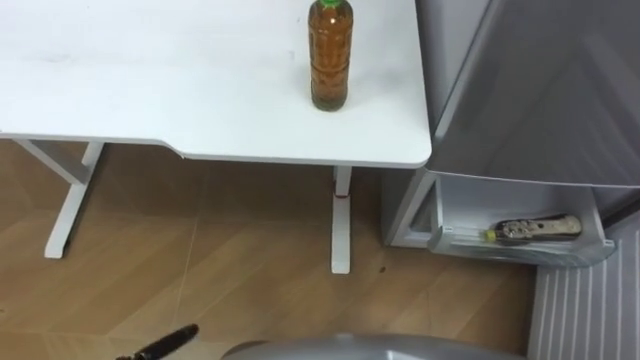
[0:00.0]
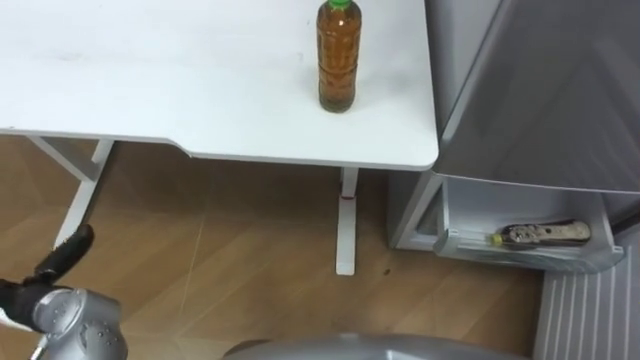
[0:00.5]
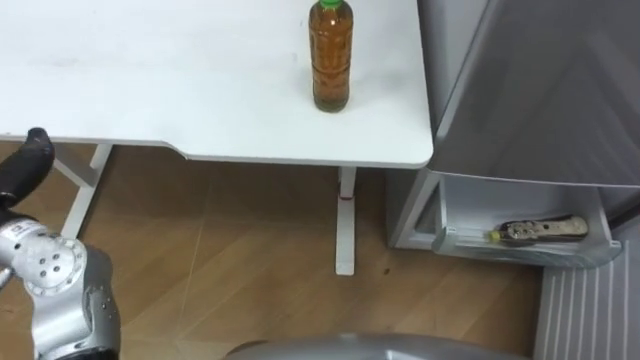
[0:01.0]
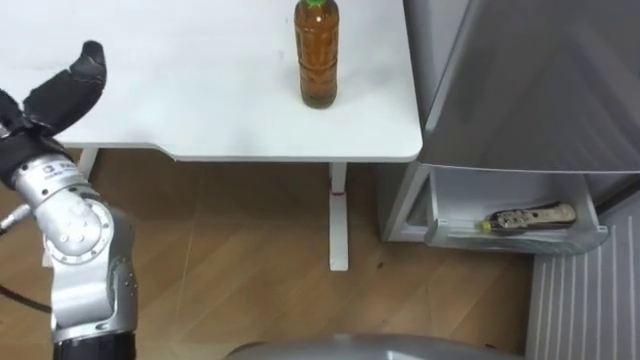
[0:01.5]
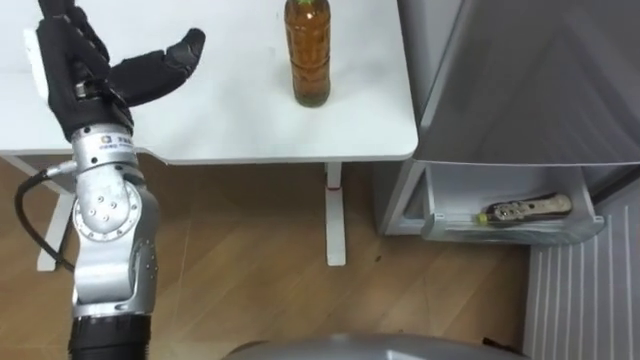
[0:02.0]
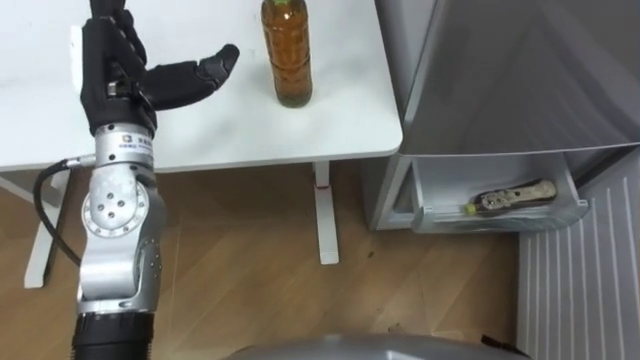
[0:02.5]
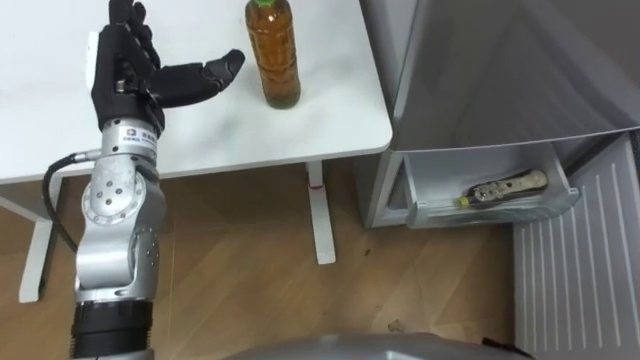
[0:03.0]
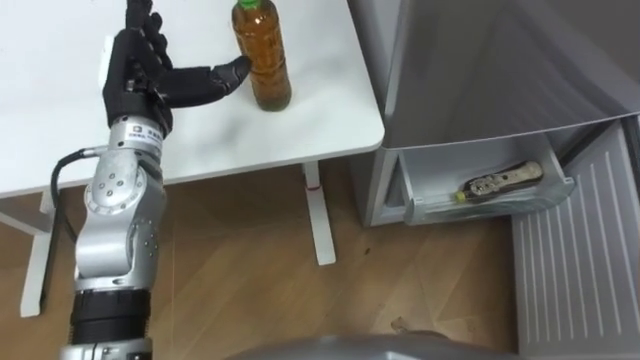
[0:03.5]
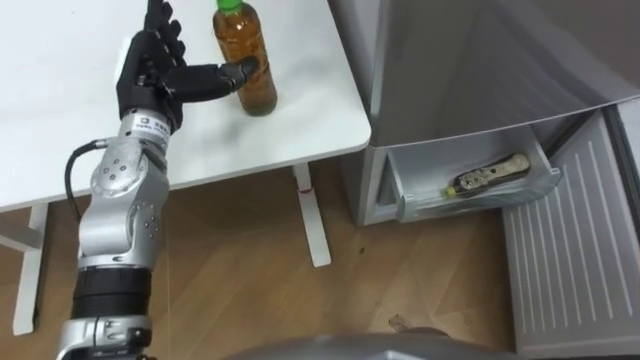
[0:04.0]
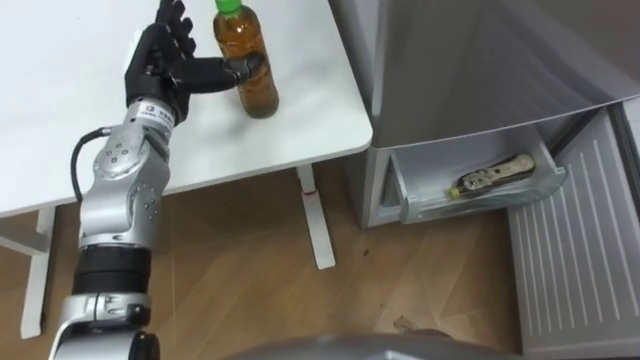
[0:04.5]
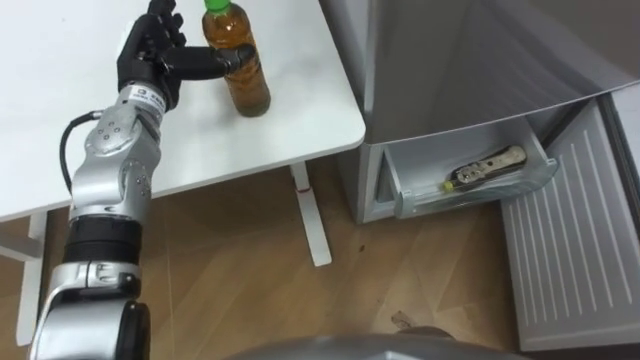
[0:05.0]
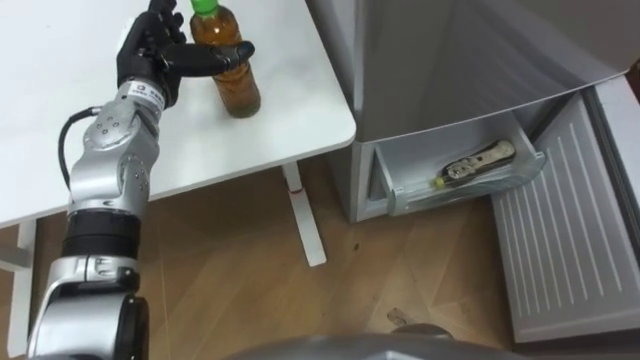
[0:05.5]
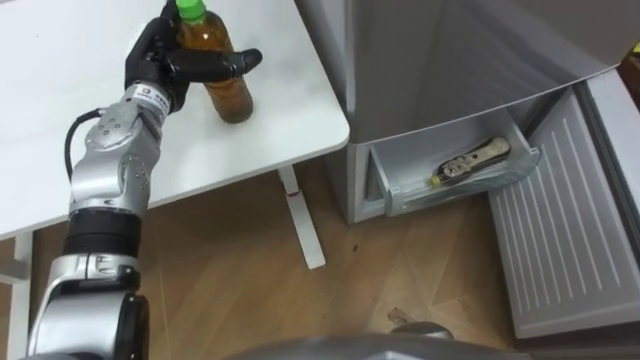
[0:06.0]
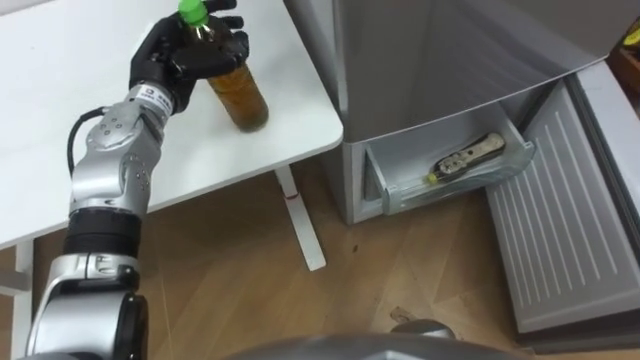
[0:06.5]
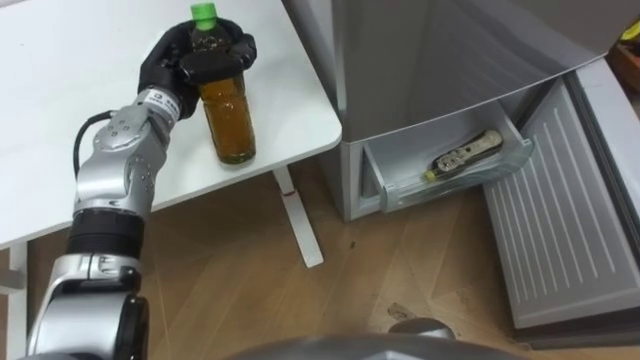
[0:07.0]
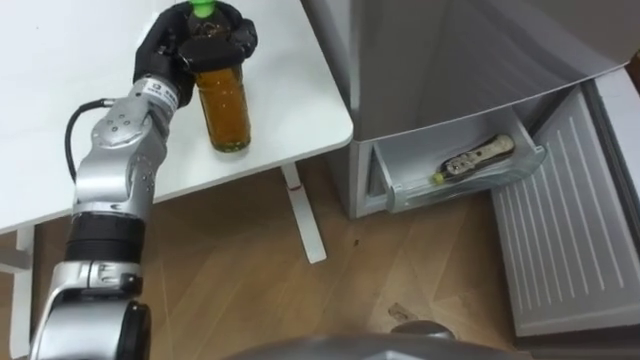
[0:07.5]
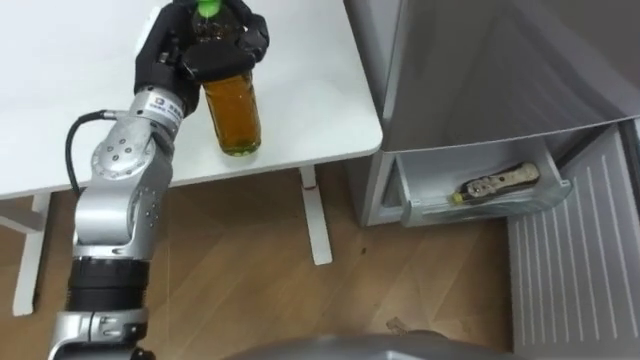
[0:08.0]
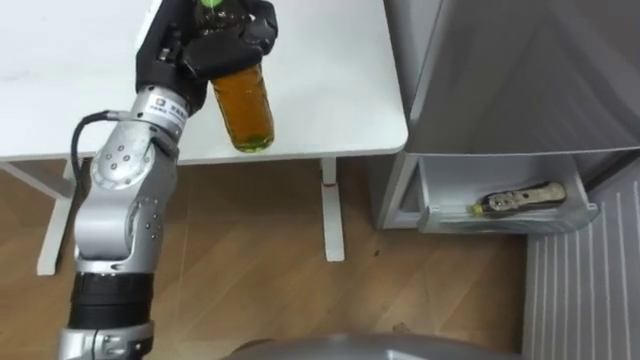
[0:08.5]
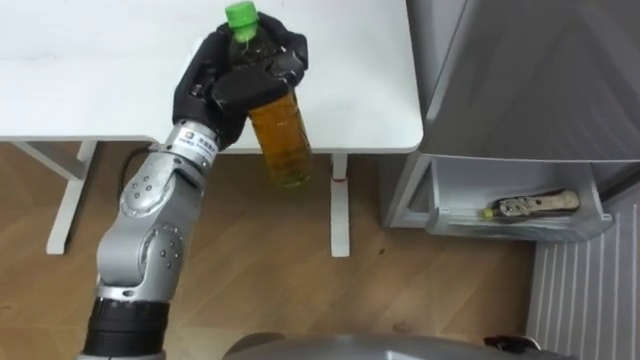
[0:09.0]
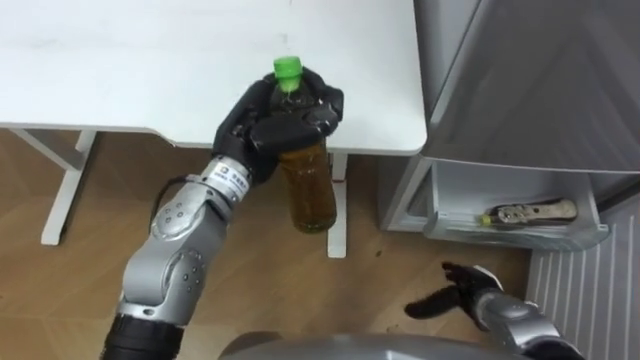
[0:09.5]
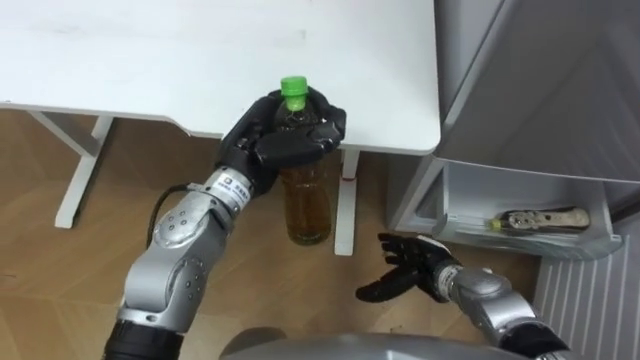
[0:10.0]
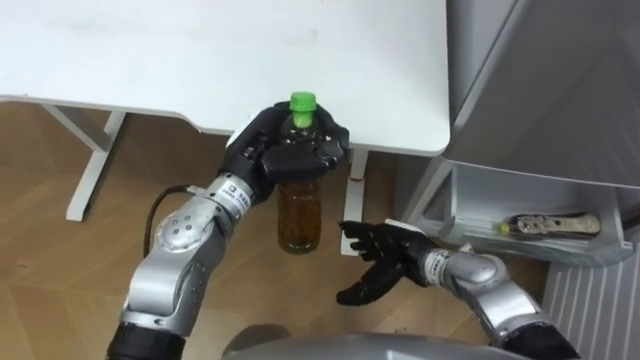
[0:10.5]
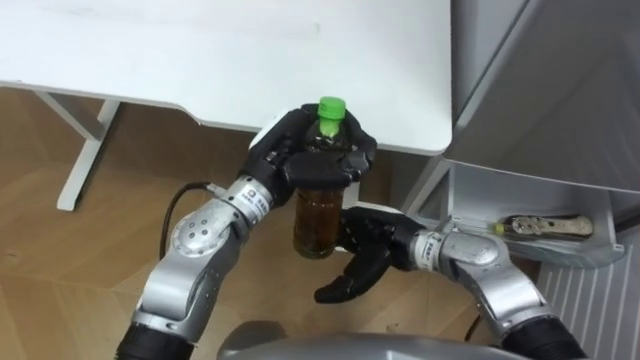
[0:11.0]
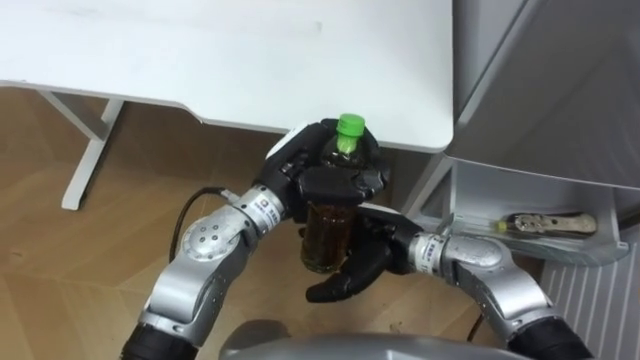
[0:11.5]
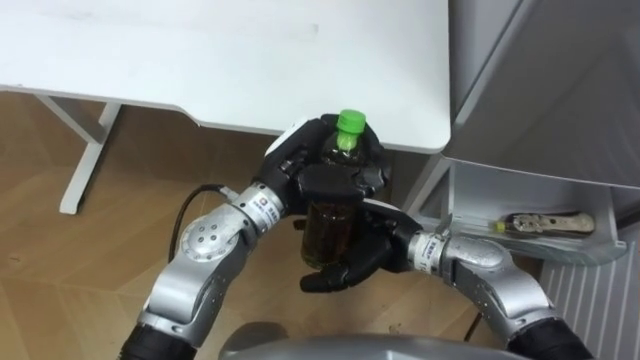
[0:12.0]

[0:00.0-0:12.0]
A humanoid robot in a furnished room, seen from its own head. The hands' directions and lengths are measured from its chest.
Task of the whole recording: Place the drink on the table on the bottom shelf of the refrigerator, then close the drawer and the refrigerator door.
0:02.0 to 0:04.0: The left hand shifts some 5 cm downward and forward.
0:06.0 to 0:08.0: The left hand ends up about 5 cm from where it was, and closes.
0:08.0 to 0:10.0: The left hand moves to the right, backward and downward, some 15 cm.
0:10.0 to 0:12.0: The left hand goes about 5 cm to the right; the right hand shifts roughly 15 cm upward and to the left.

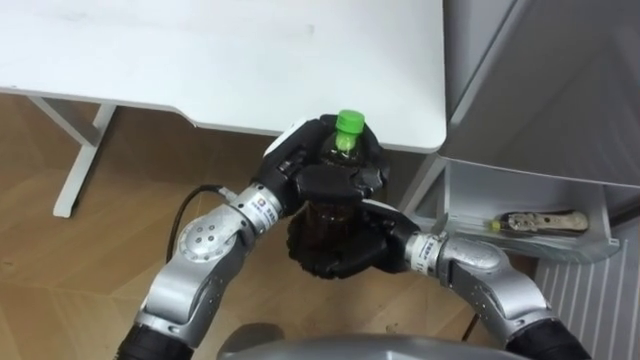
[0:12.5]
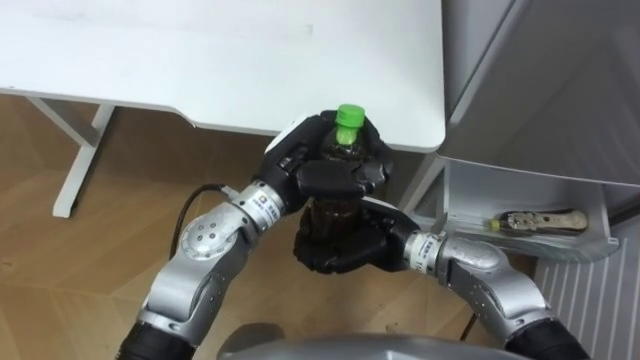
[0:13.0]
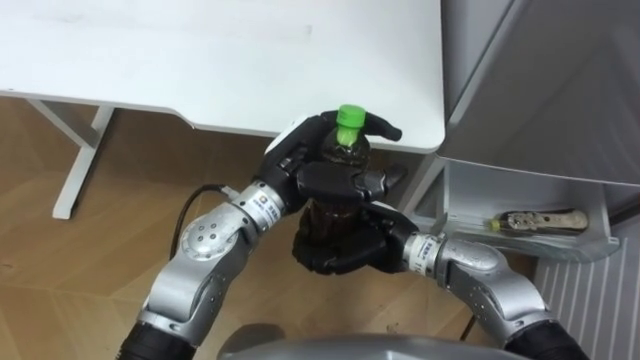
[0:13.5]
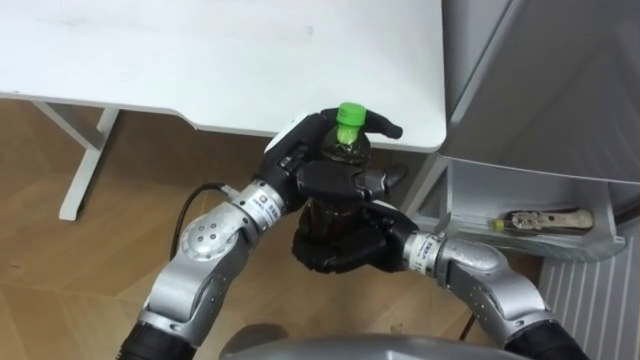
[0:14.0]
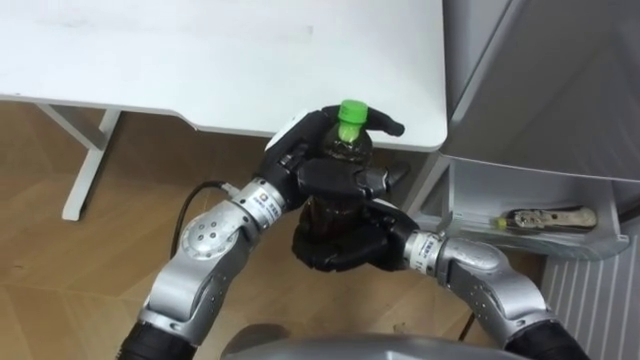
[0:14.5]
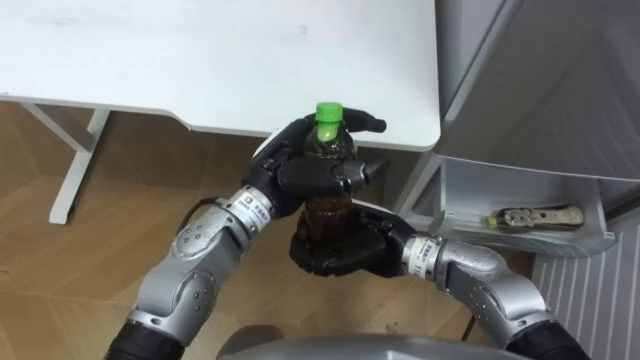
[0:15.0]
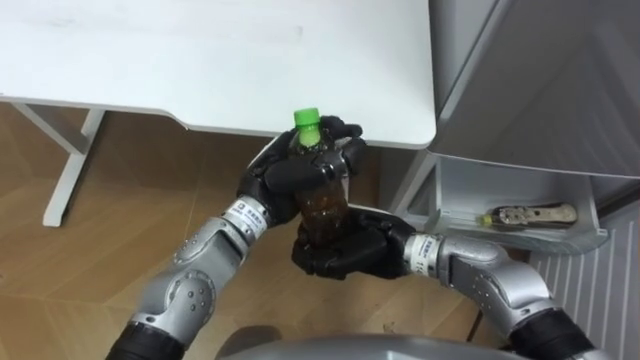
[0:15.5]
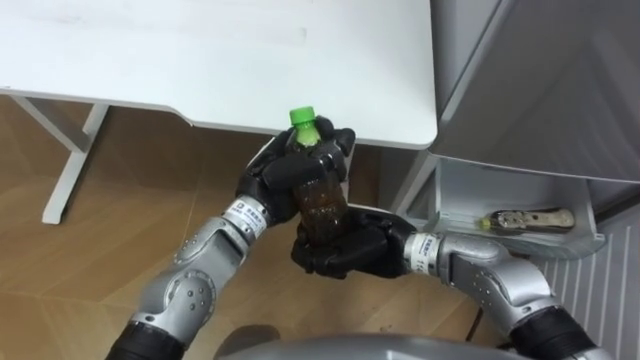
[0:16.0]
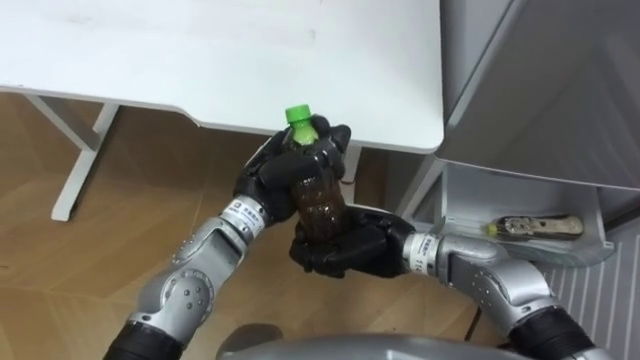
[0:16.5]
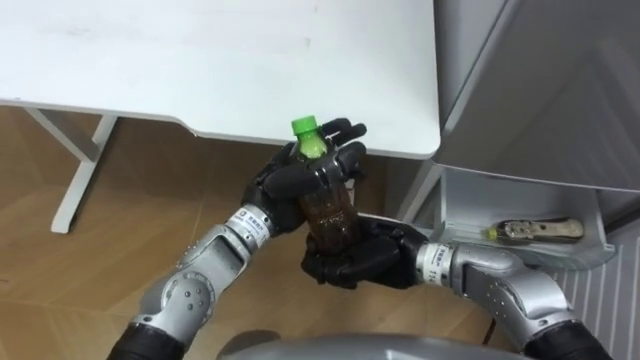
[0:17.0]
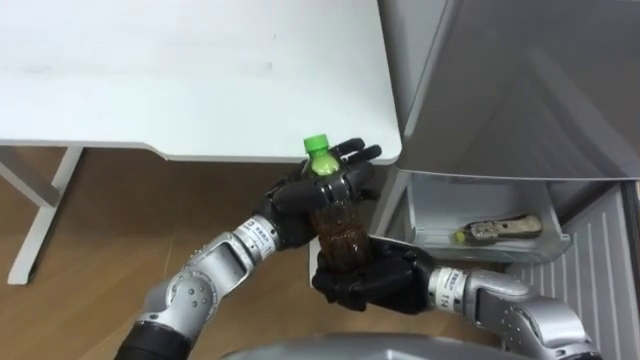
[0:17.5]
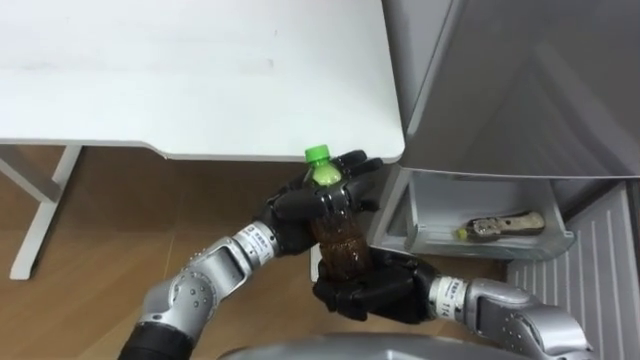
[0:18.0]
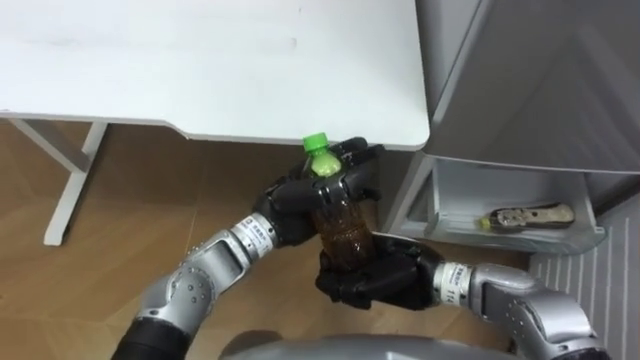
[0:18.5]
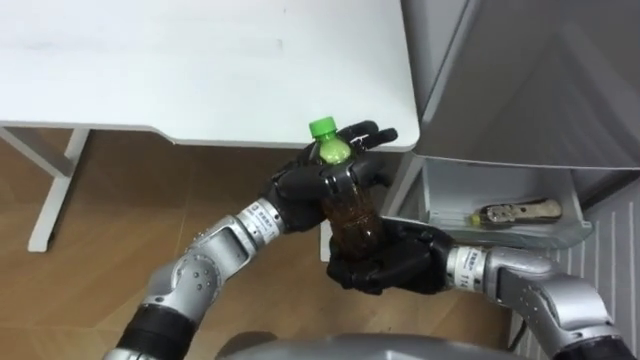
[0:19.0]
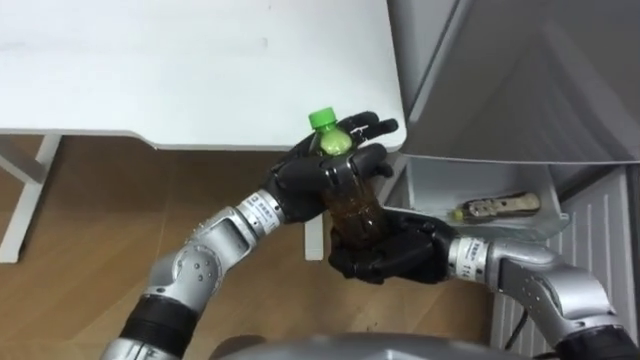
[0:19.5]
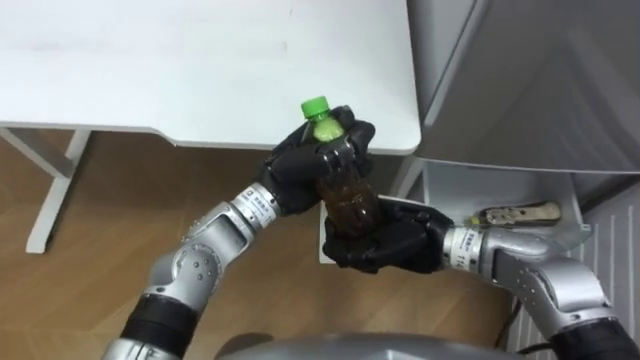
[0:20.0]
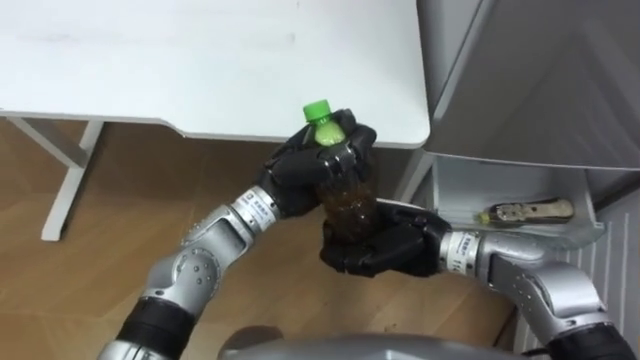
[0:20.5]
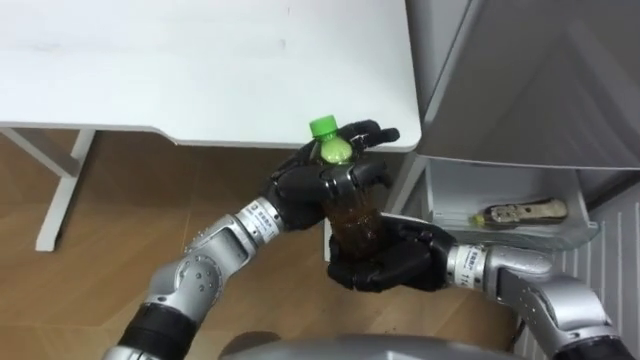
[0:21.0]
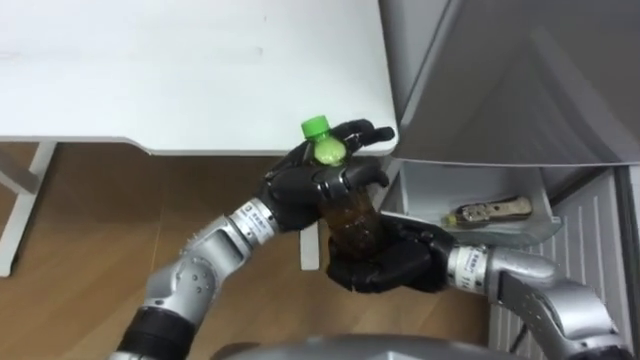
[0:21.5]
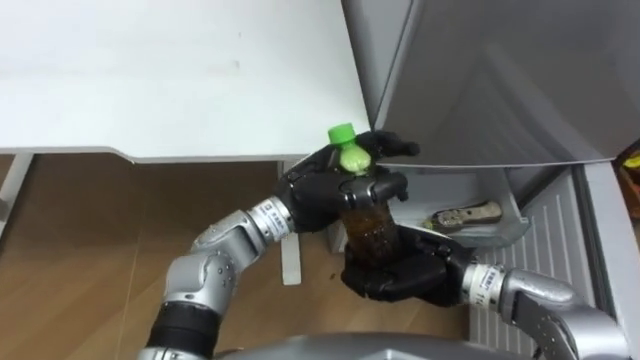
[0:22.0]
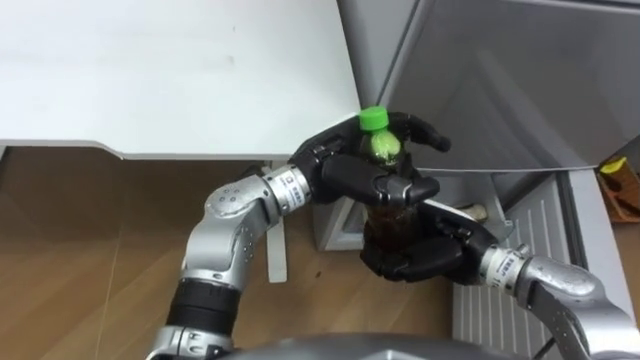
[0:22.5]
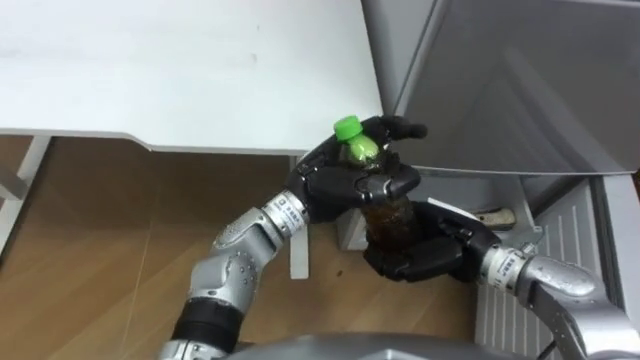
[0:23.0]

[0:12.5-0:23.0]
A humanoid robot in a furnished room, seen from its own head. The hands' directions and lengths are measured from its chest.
Task of the whole recording: Place the drink on the table on the bottom shelf of the refrigerator, then close the drawer and the refrigerator door.
0:12.5 to 0:14.5: Neither hand changes place.
0:14.5 to 0:16.5: The left hand shifts by some 5 cm.
0:16.5 to 0:19.0: The right hand moves to the right, some 5 cm.
0:21.0 to 0:23.0: The right hand travels to the right by about 5 cm.
